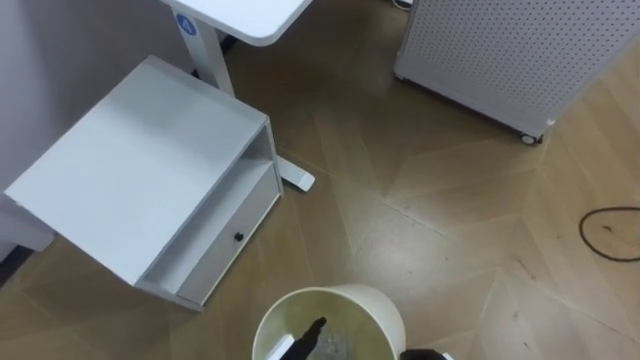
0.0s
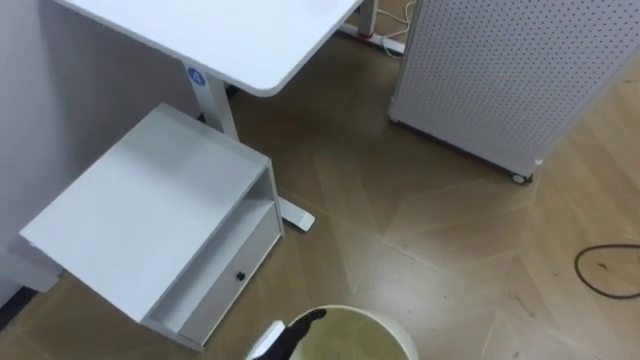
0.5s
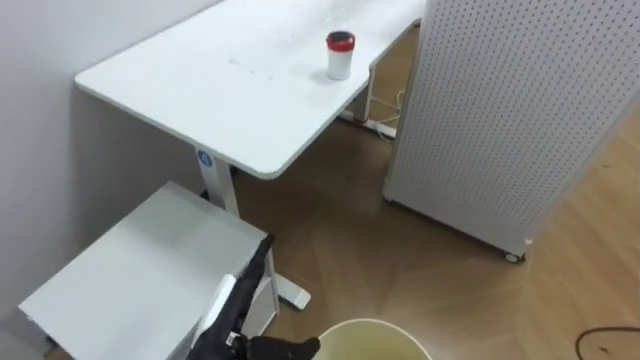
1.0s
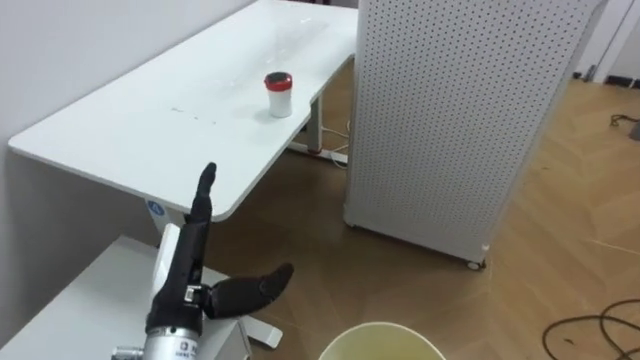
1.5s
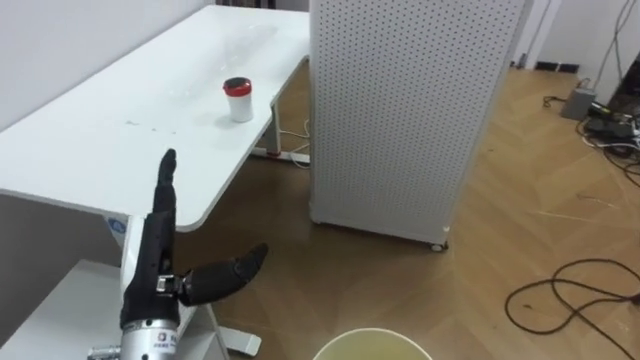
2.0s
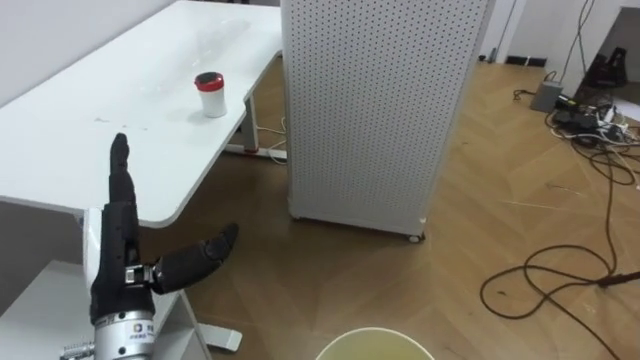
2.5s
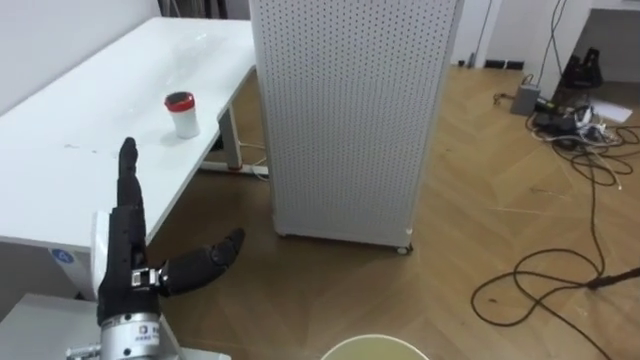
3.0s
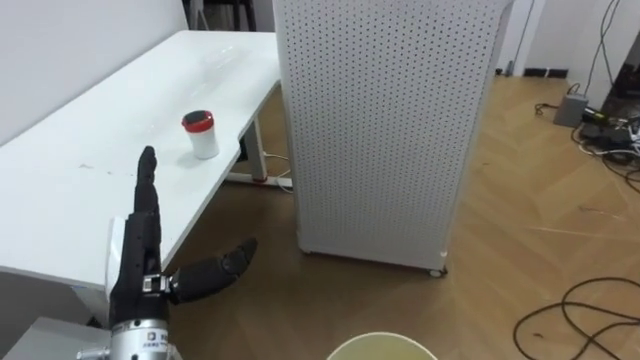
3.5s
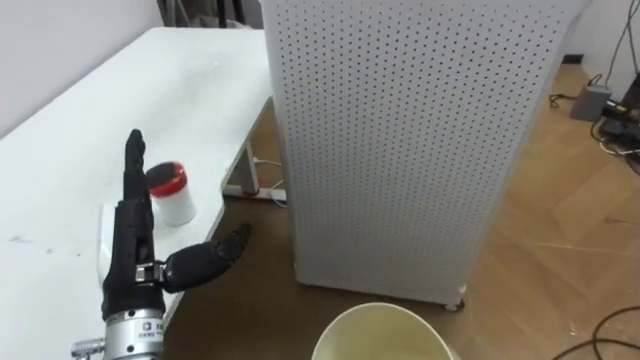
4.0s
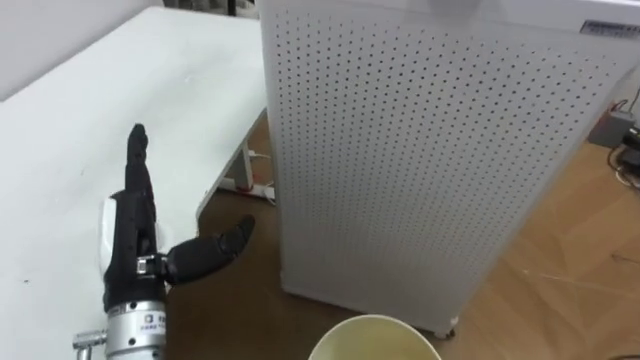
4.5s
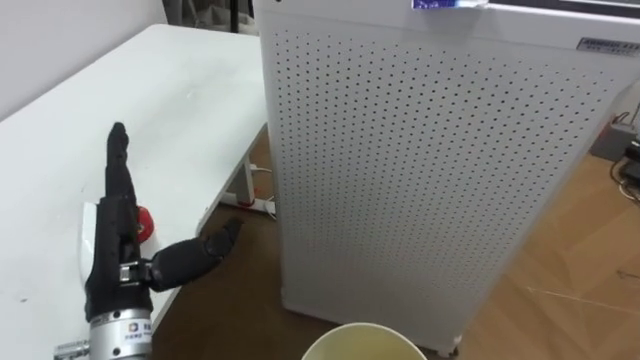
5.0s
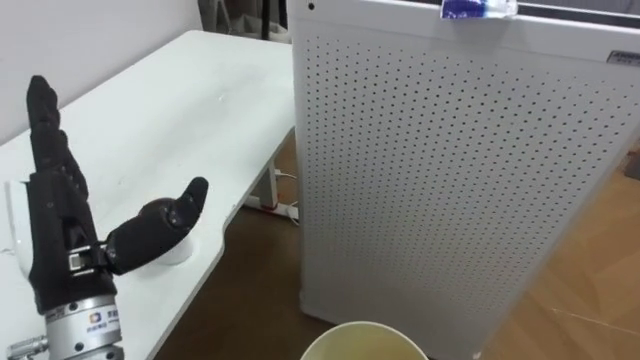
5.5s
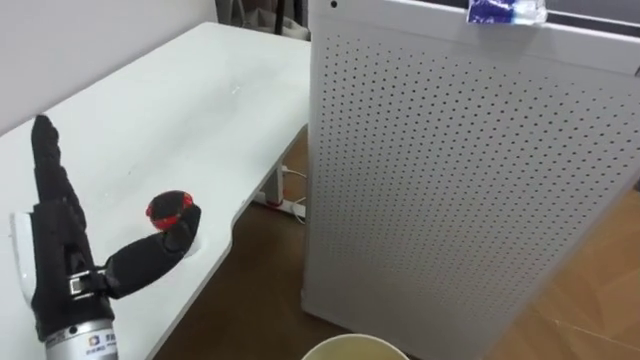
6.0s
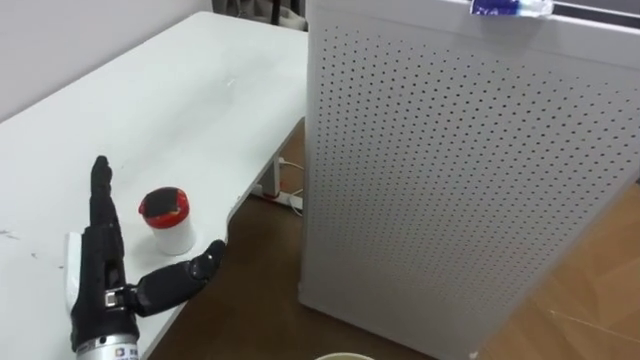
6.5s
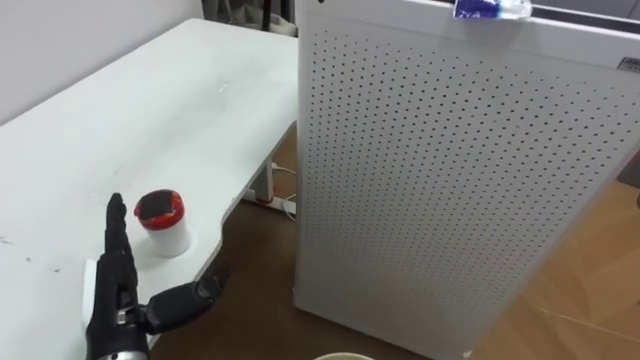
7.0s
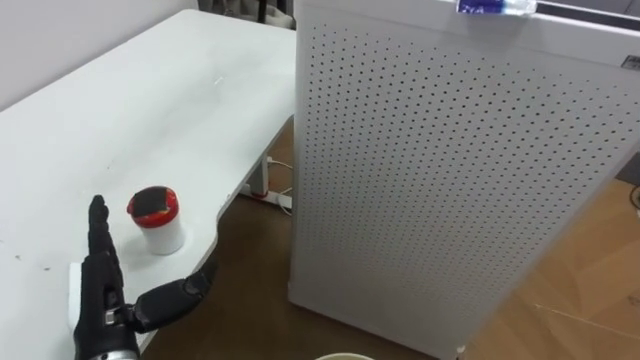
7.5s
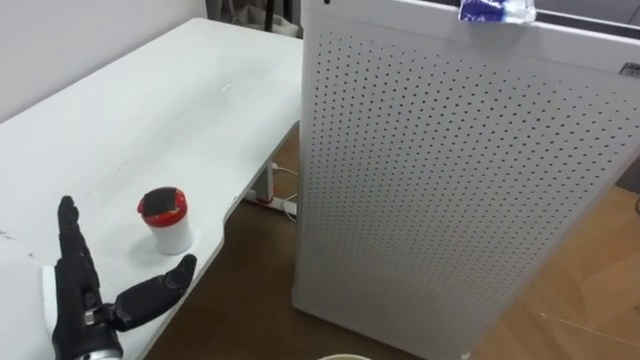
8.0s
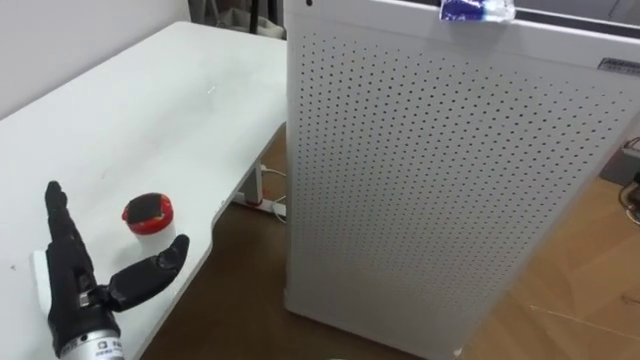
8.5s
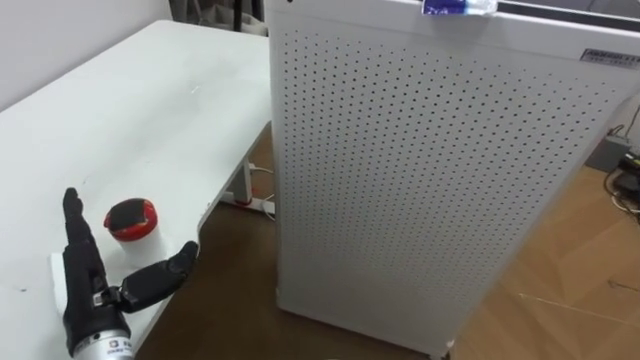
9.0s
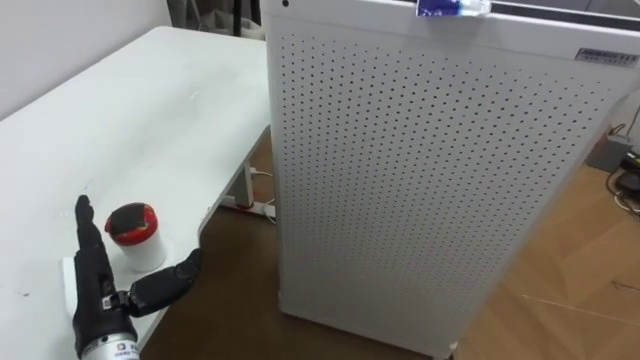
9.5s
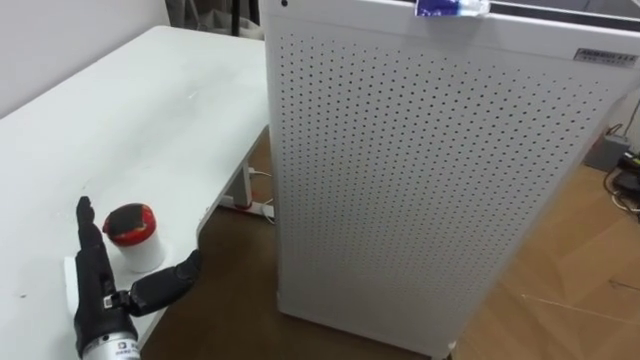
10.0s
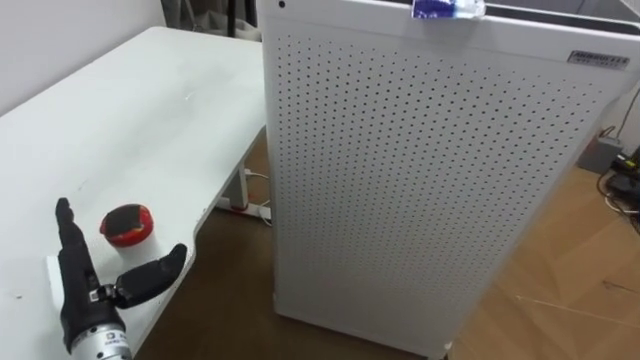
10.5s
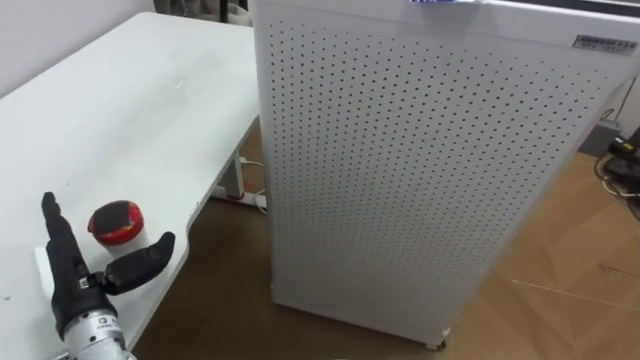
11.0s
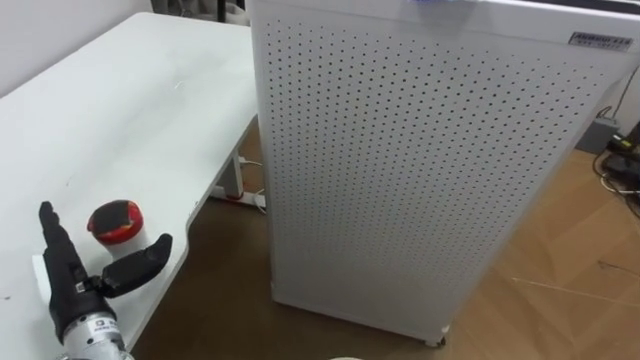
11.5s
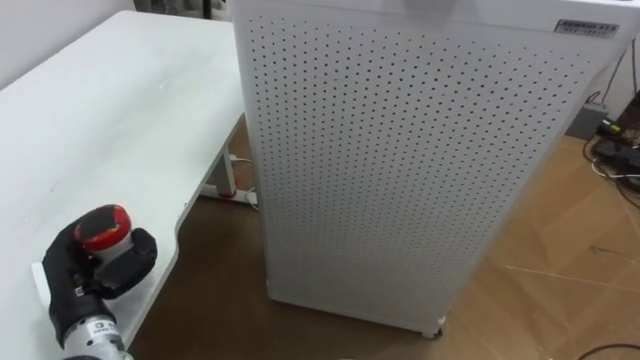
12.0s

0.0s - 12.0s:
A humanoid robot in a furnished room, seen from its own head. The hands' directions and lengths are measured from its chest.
Task of the whole recording: Pick up the light blue package, the candy box, and the dark blue package separately, and put them into the trash can held in your right hand.
0.0s - 2.0s: The robot rotates some 20 degrees to its right.
4.0s - 6.0s: The left hand moves approximately 5 cm.
6.0s - 8.0s: The left hand heads downward, covering roughly 10 cm.
10.0s - 12.0s: The left hand closes its fingers.

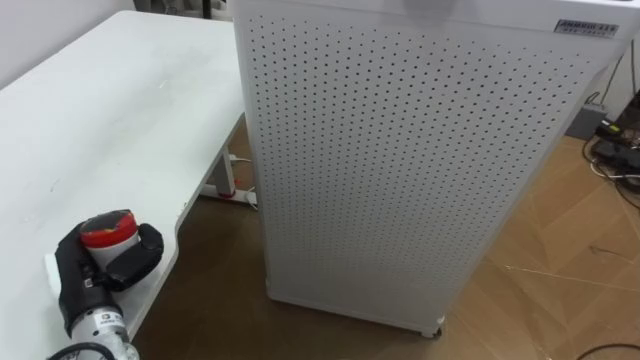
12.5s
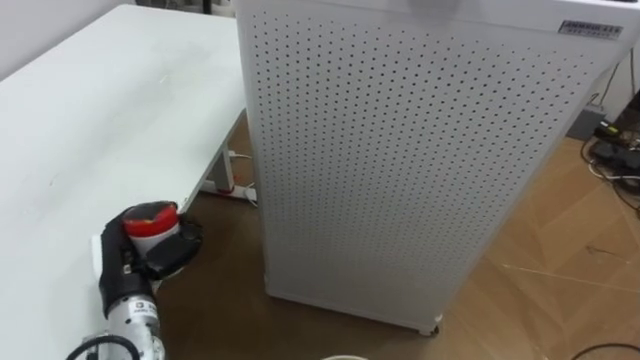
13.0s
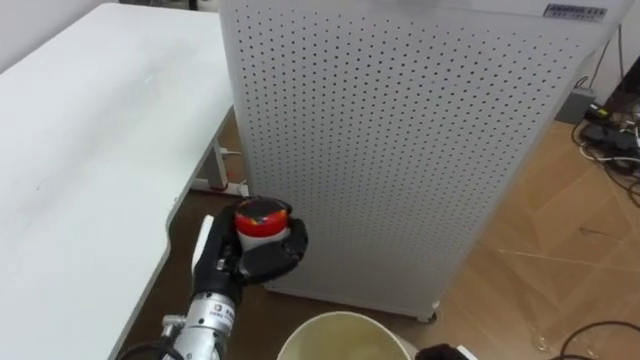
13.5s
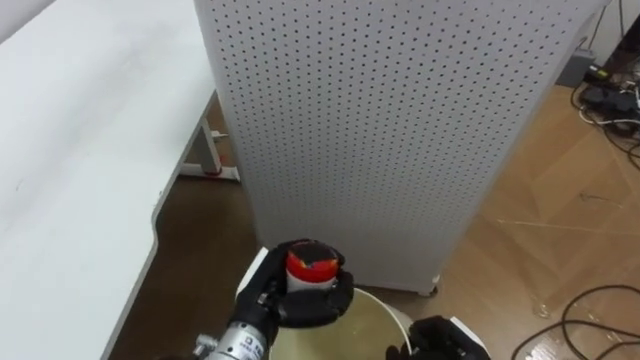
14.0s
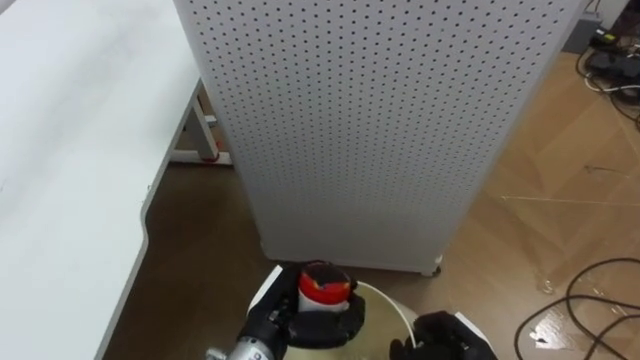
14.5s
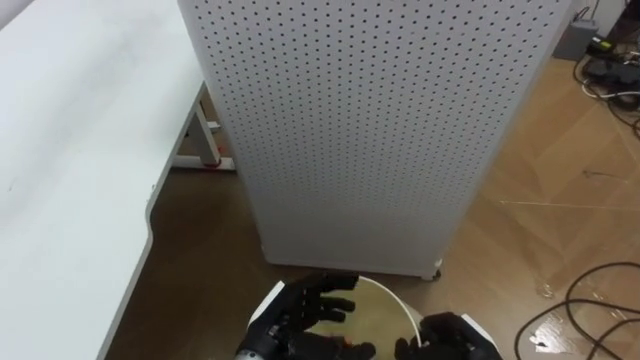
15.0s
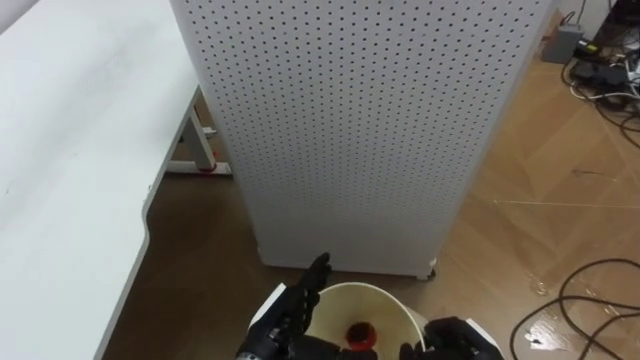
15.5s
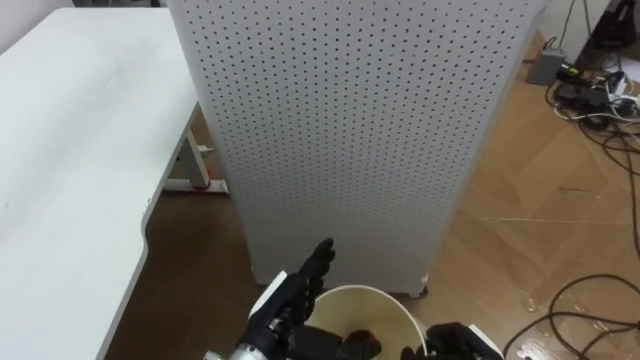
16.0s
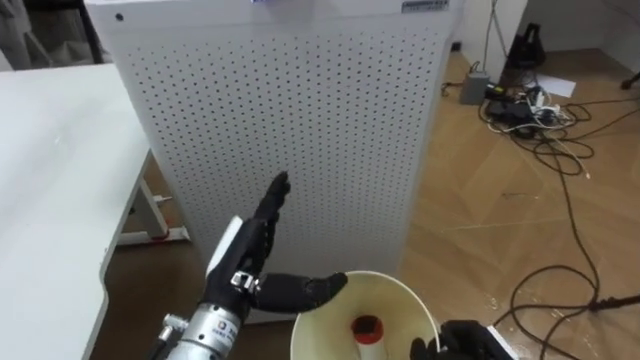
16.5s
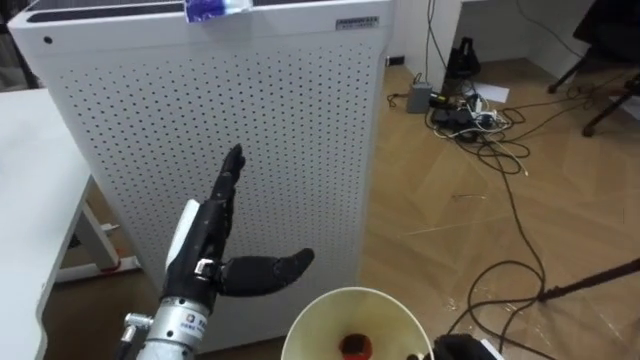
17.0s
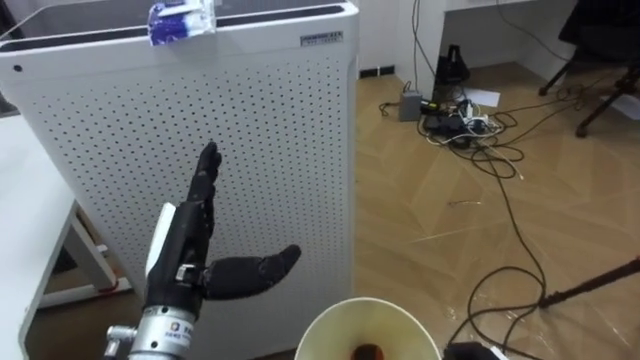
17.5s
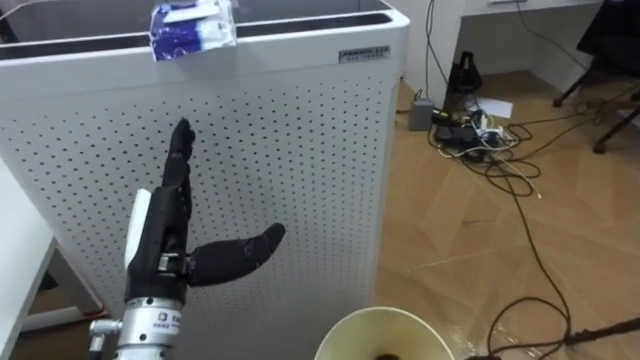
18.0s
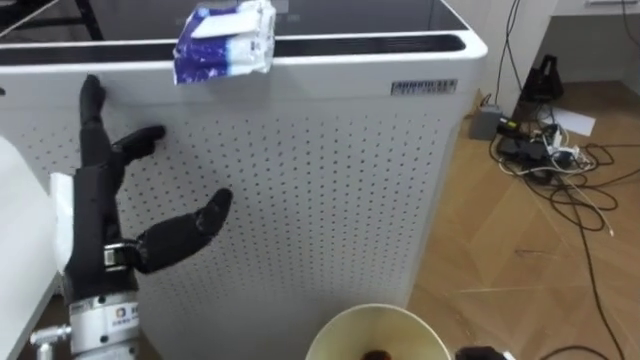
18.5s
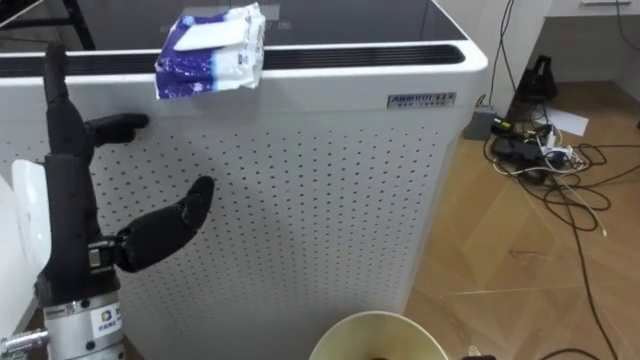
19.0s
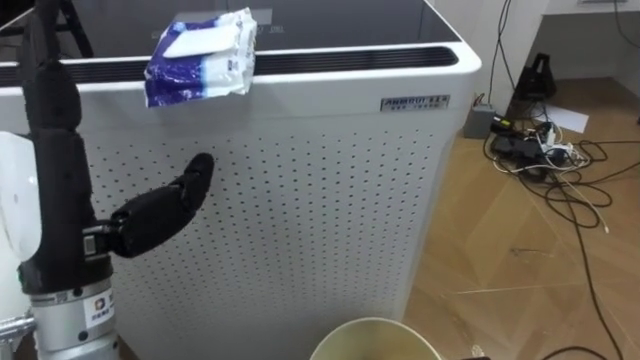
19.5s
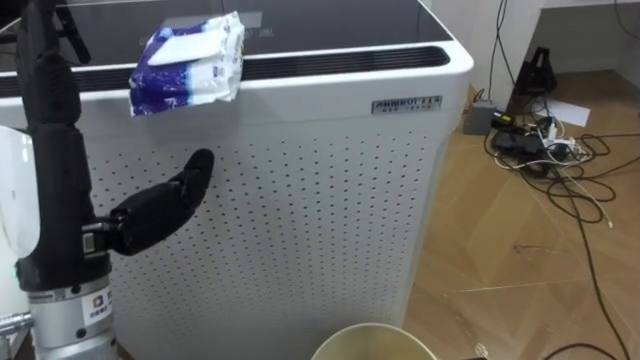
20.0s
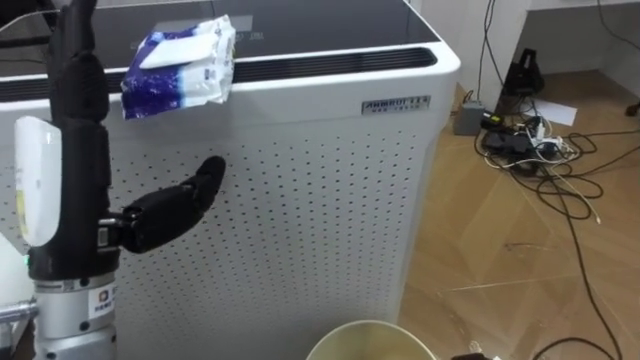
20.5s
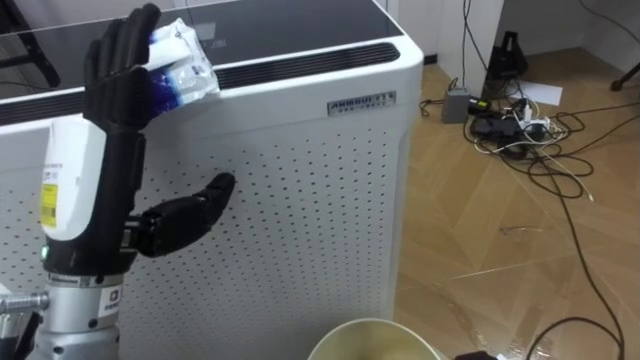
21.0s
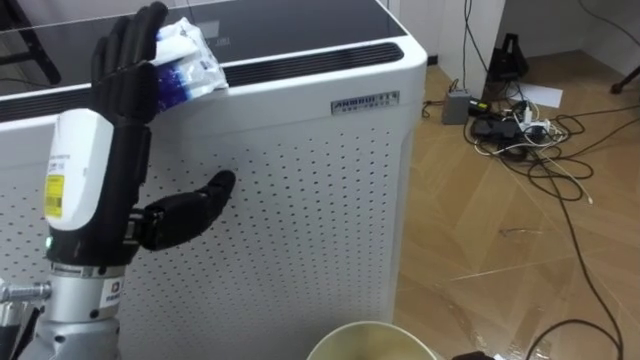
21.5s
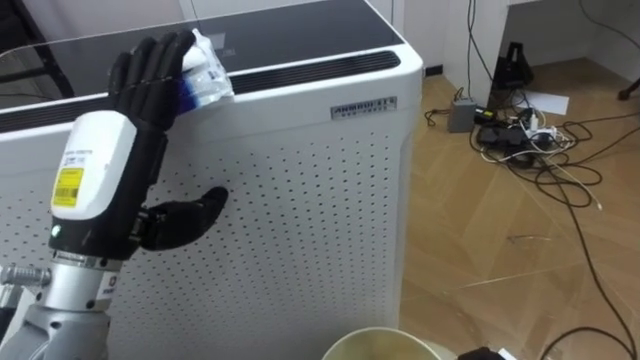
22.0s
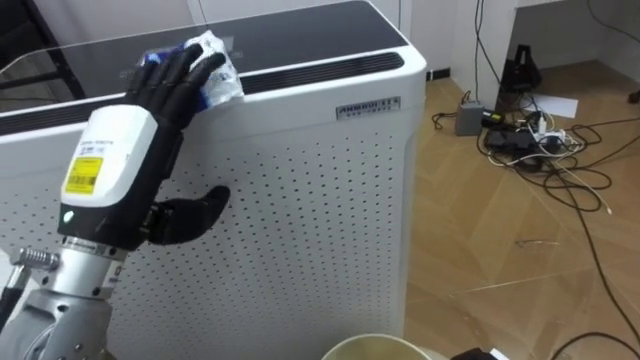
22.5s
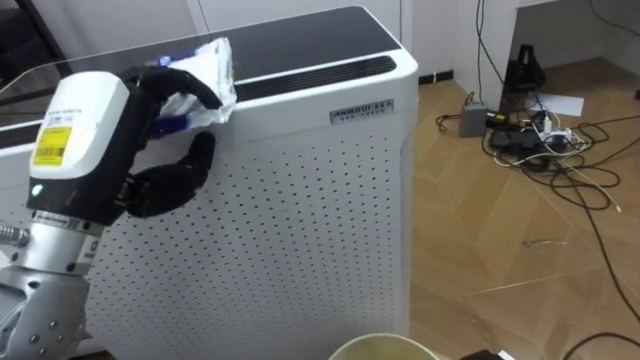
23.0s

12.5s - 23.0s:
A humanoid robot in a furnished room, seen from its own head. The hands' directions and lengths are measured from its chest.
Task of the whole recording: Pick up the light blue package, the candy box, and the dark blue package separately, and put them into the trash can held in your right hand.
12.5s - 14.5s: The left hand travels to the right by some 25 cm.
14.5s - 16.5s: The left hand is displaced upward by approximately 5 cm, and opens its fingers.
16.5s - 19.0s: The left hand shifts some 20 cm upward and to the left.
21.0s - 23.0s: The left hand closes up.
